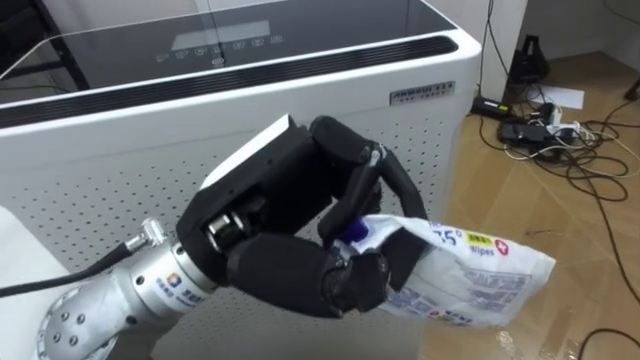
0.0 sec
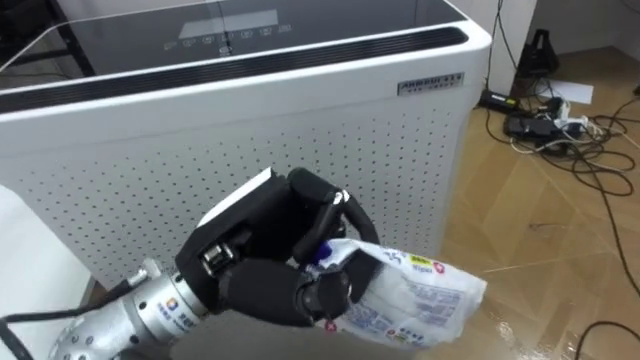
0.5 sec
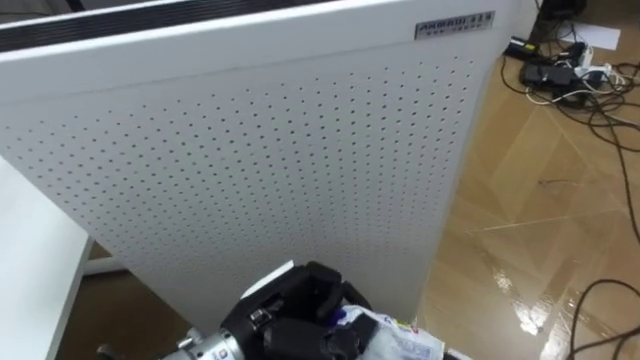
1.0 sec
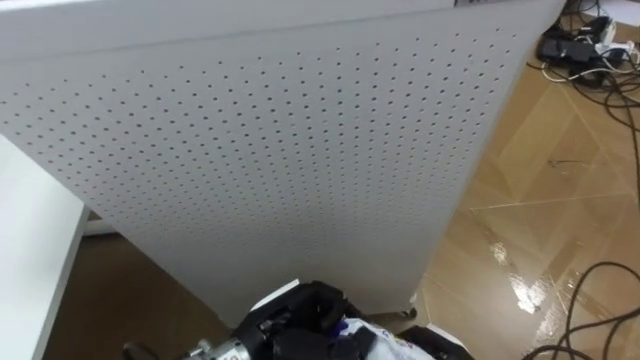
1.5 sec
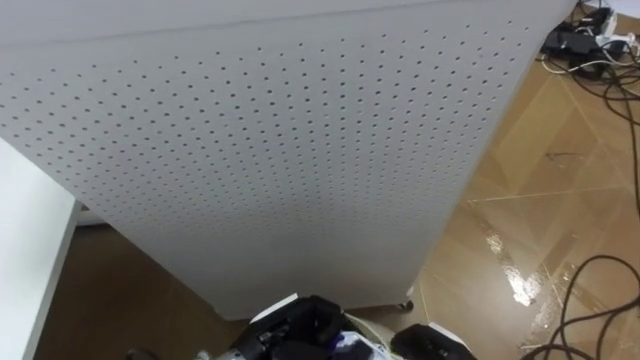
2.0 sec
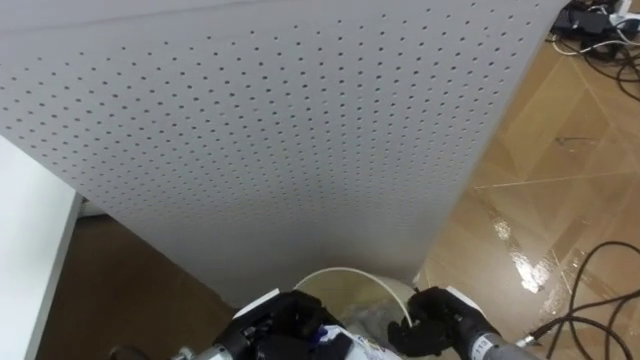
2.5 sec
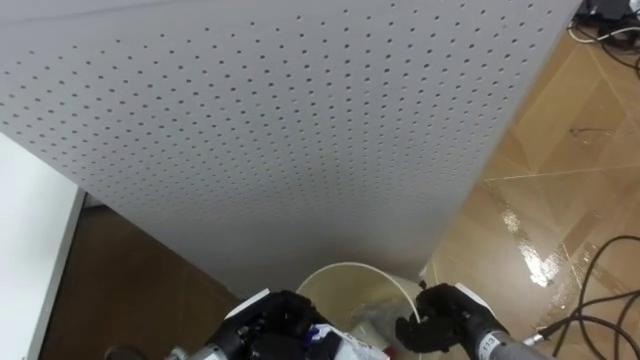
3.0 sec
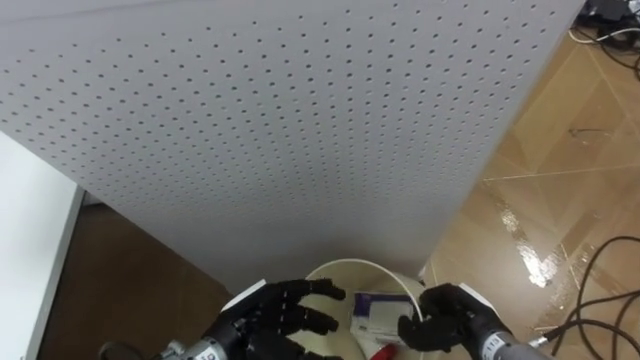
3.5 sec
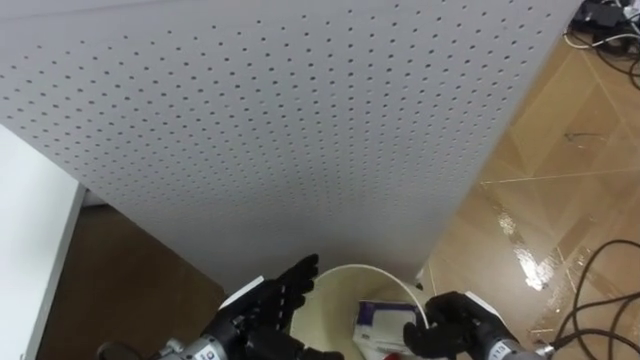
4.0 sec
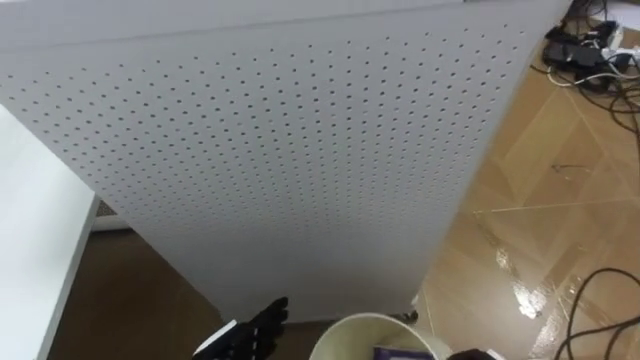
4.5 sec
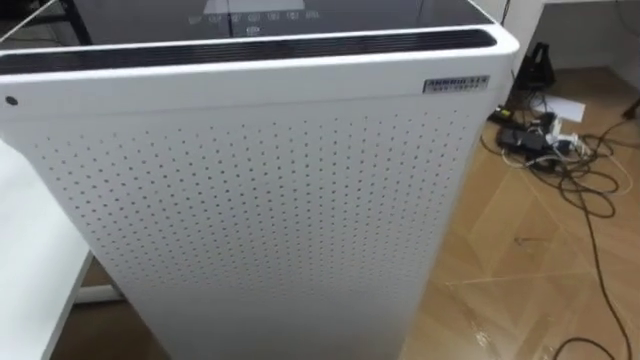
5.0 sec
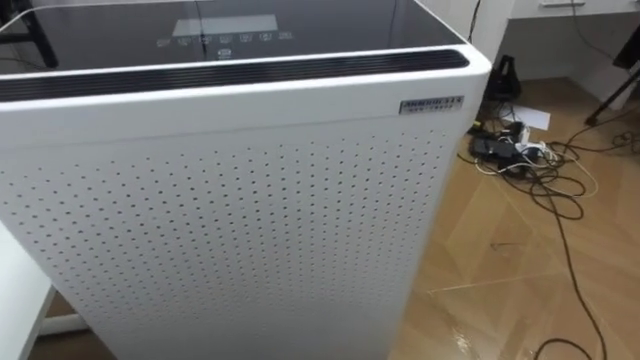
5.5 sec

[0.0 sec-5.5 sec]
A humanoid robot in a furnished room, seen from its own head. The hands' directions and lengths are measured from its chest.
Task of the whole recording: Pick up the light blue package, the candy box, and the dark blue package separately, and put them into the trash can held in your right hand.
0.0 sec to 2.0 sec: The left hand is displaced downward by roughly 25 cm.
2.0 sec to 3.5 sec: The left hand opens its fingers.

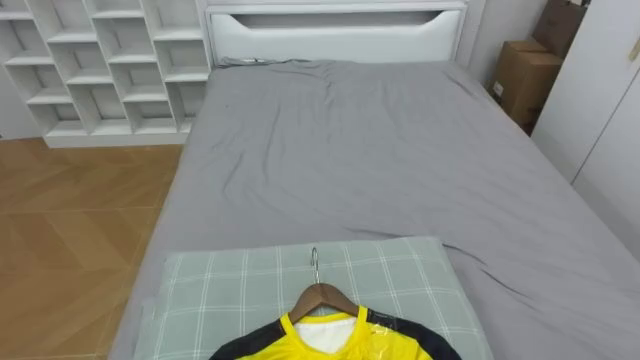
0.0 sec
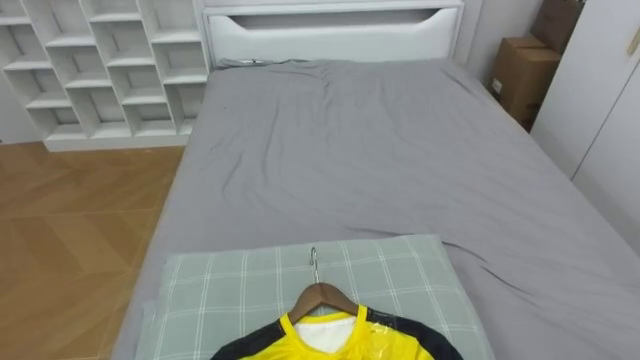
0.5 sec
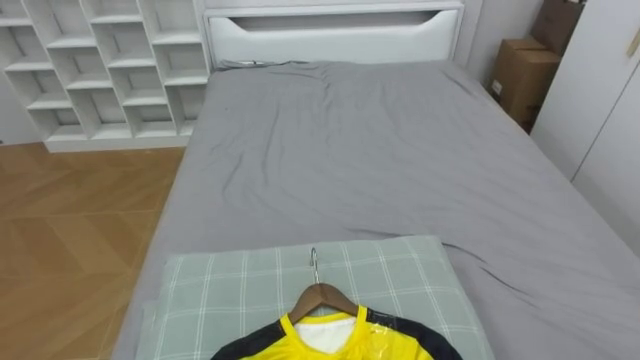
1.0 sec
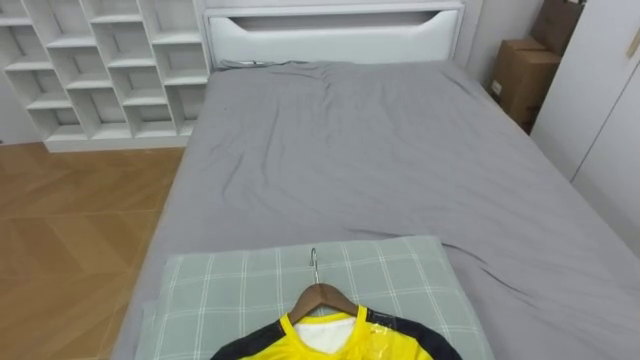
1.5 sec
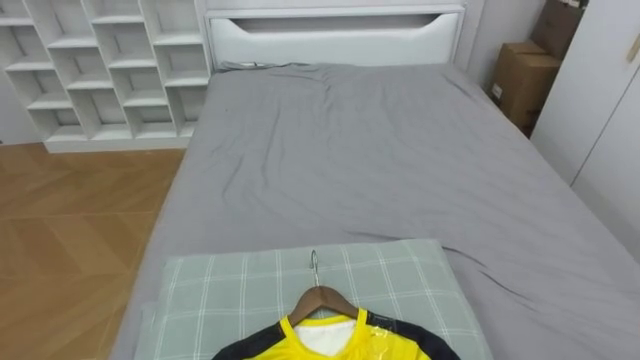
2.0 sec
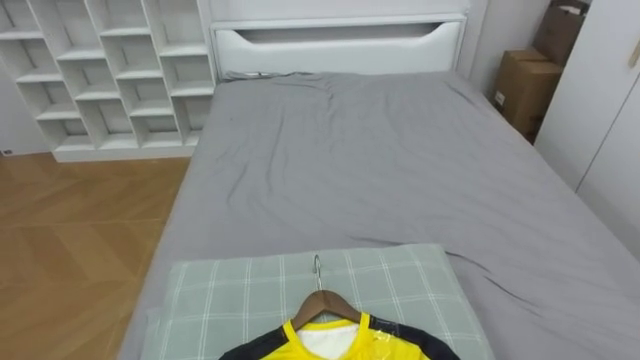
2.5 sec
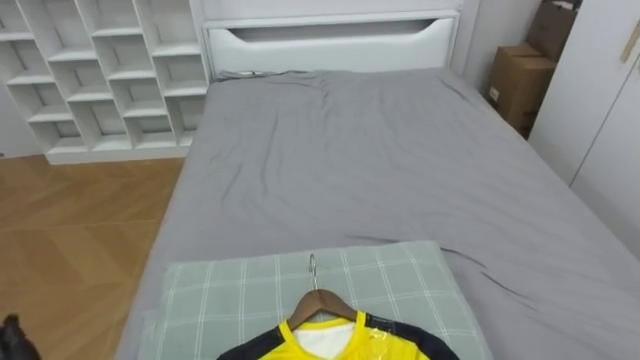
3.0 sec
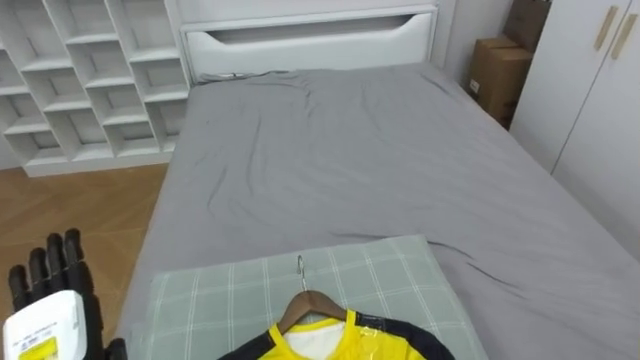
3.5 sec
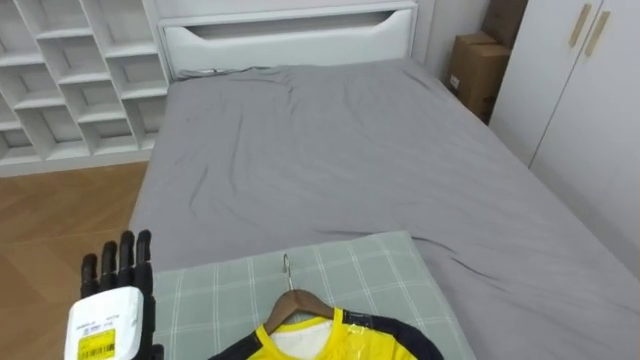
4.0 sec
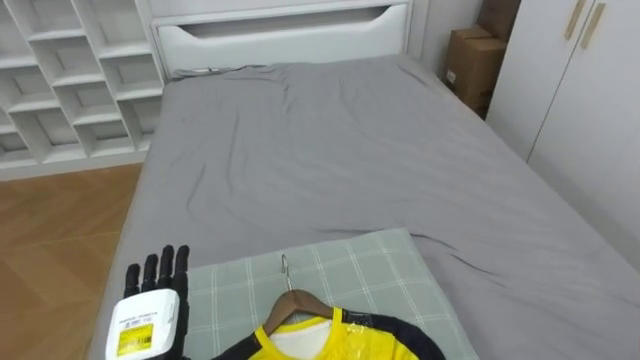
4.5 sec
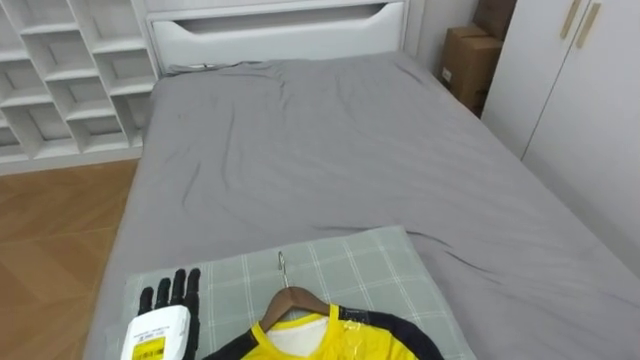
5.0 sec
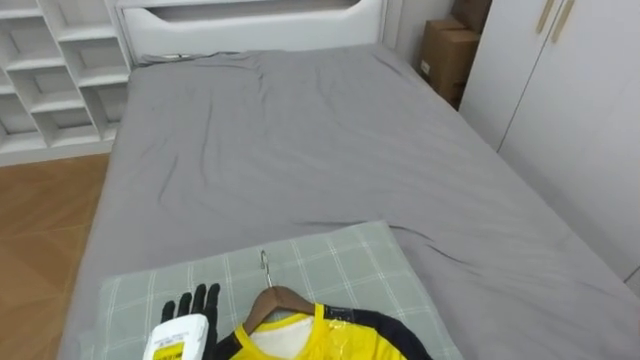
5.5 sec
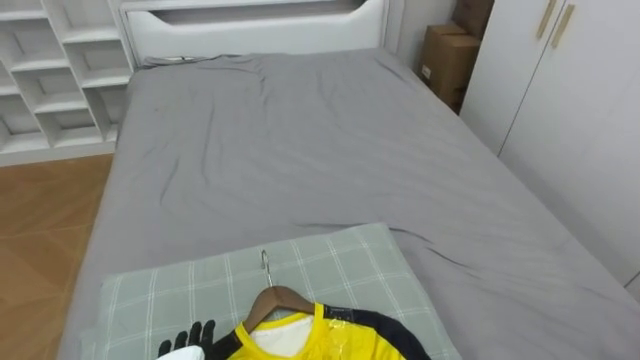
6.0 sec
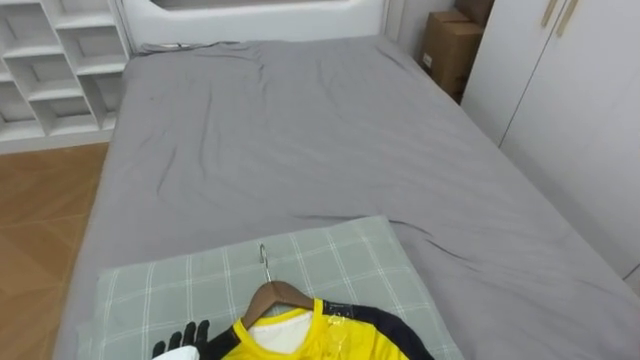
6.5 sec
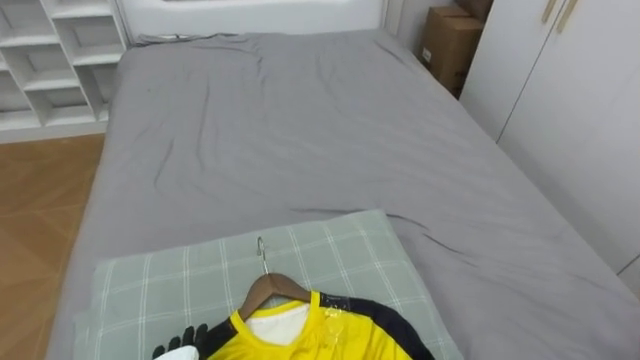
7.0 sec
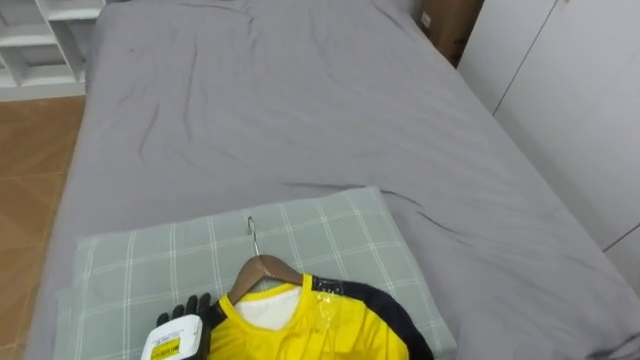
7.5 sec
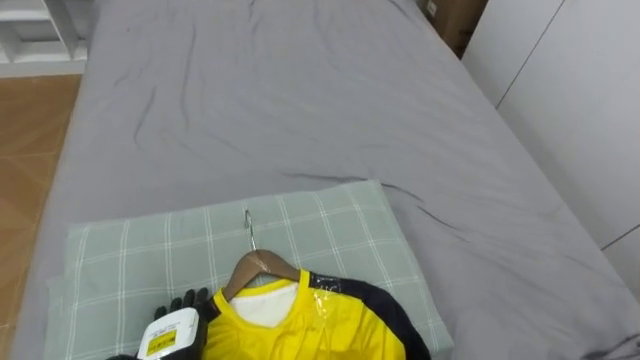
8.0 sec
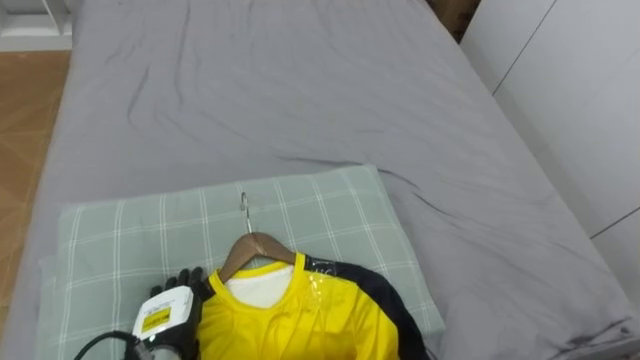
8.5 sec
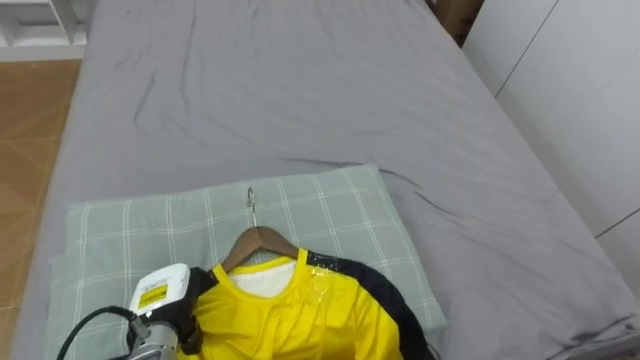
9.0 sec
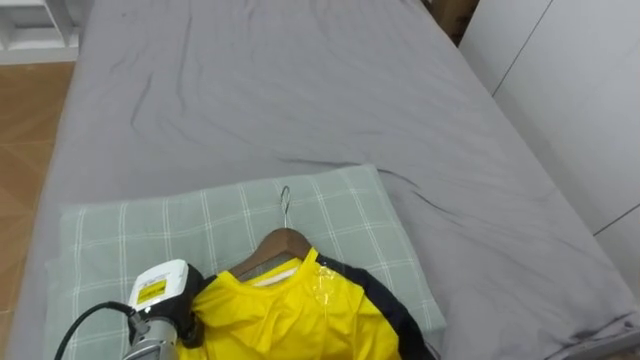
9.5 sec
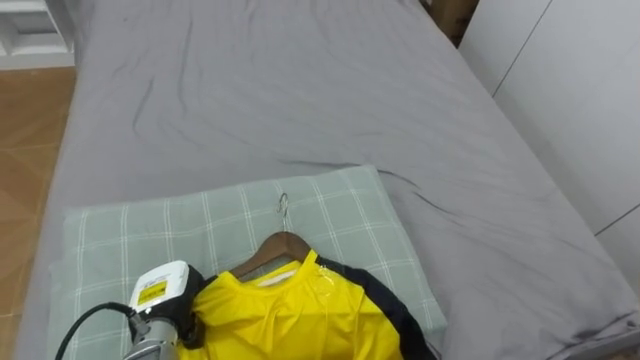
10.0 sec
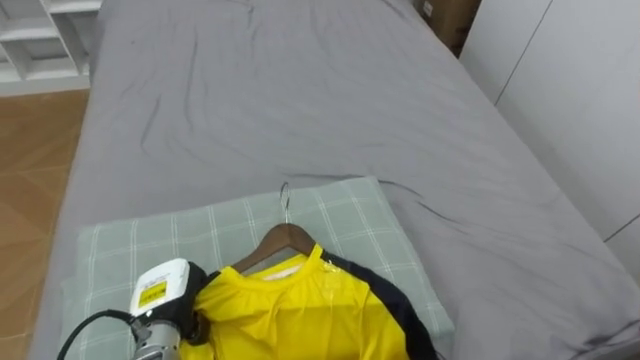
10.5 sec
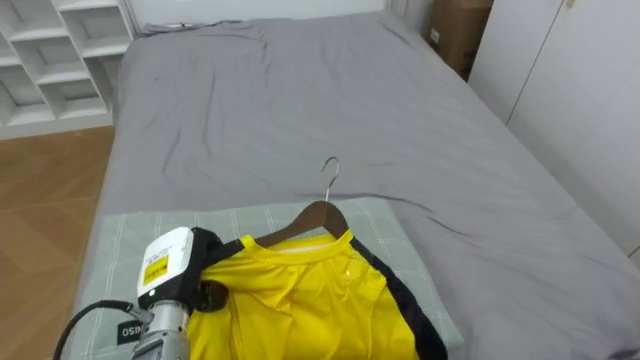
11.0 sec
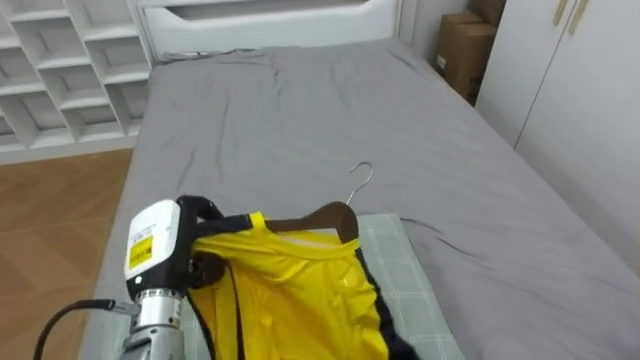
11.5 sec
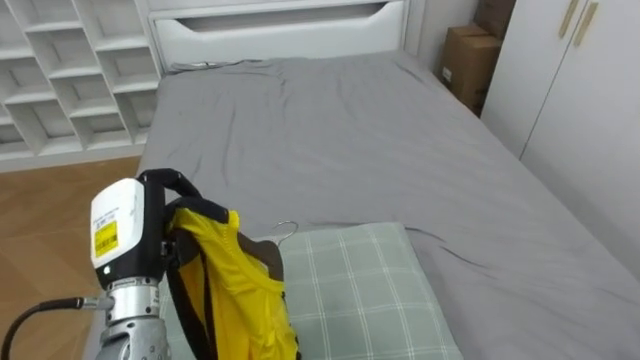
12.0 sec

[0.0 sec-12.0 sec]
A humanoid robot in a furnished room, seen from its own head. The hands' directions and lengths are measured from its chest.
Task of the whole recording: Pick up the yellow shirt on the bed and hang it on the clothes rack on the right.
8.0 sec to 10.0 sec: The left hand goes roughly 5 cm forward, and closes.
10.0 sec to 12.0 sec: The left hand travels upward by approximately 15 cm.

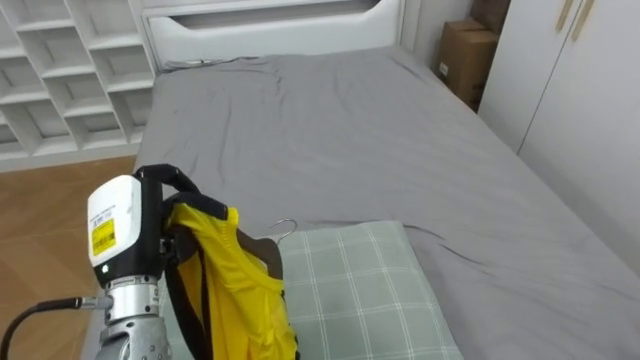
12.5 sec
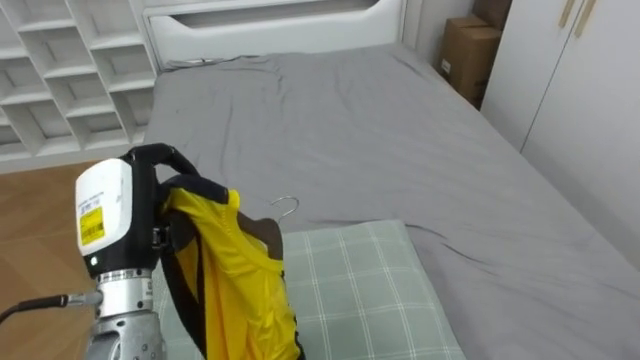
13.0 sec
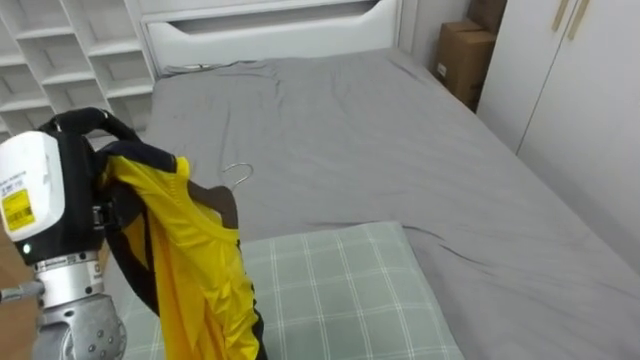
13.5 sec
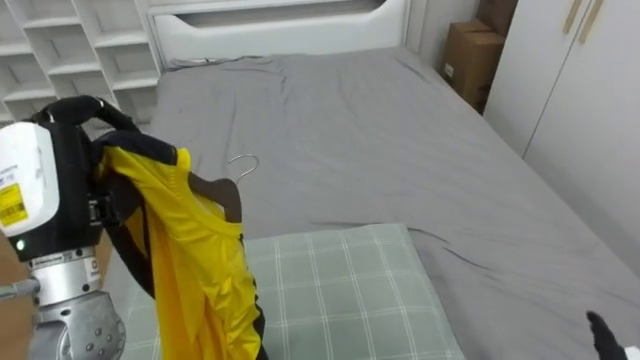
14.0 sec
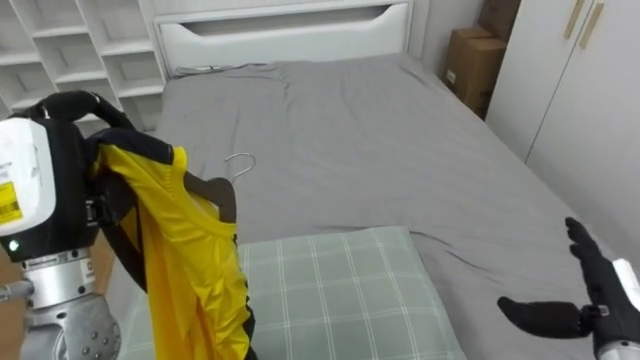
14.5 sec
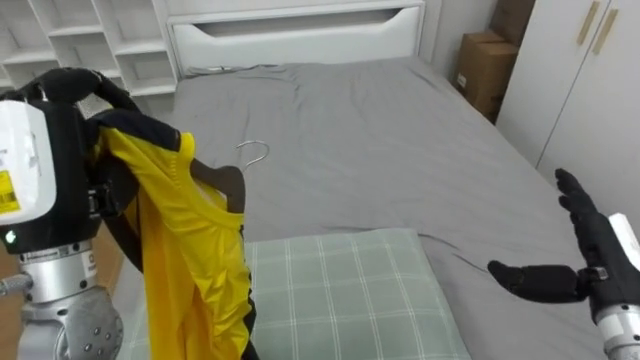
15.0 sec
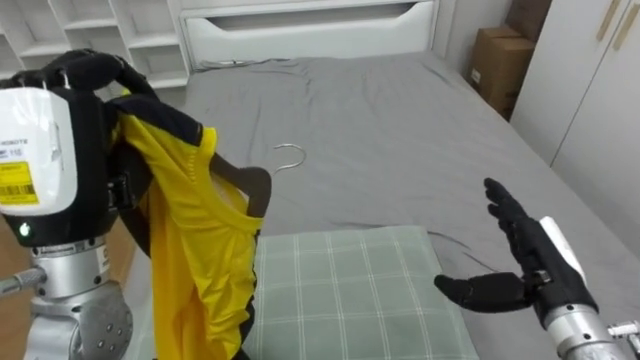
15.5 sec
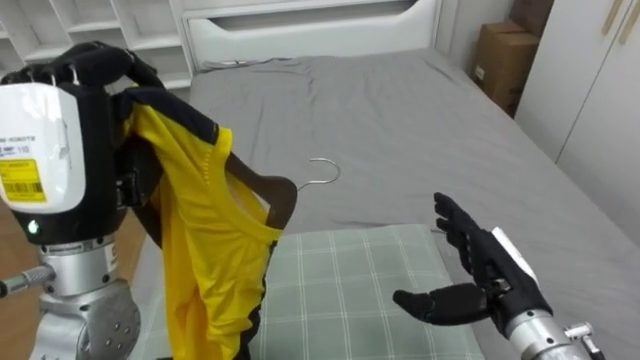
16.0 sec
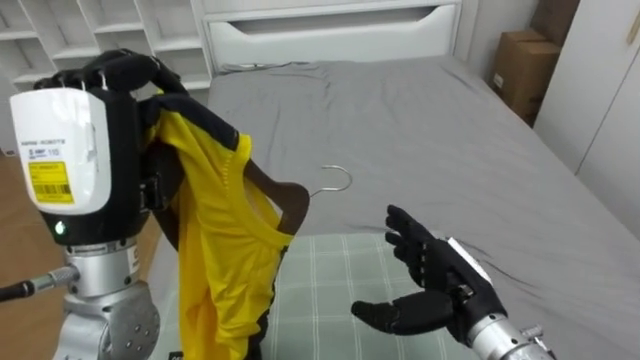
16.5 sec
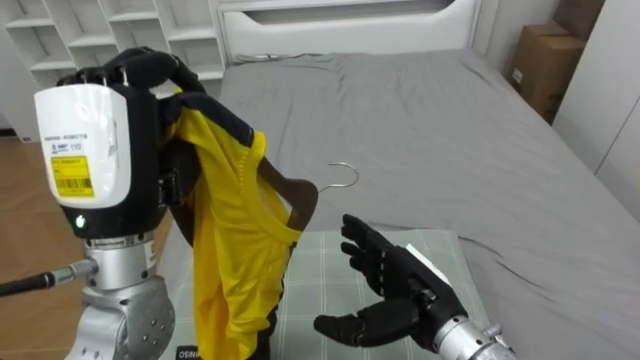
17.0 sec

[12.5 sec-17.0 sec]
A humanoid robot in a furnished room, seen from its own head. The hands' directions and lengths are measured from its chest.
Task of the whole recording: Pick up the yellow shirt on the bed and hang it on the clothes rack on the right.
12.5 sec to 14.5 sec: The left hand travels upward by about 10 cm.
14.5 sec to 17.0 sec: The left hand is displaced to the right by about 5 cm. Meanwhile the right hand moves to the left, about 20 cm.
